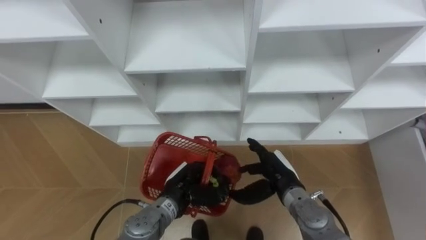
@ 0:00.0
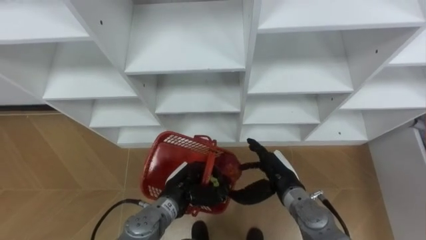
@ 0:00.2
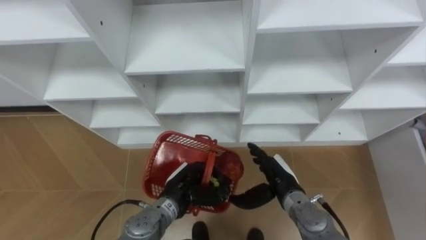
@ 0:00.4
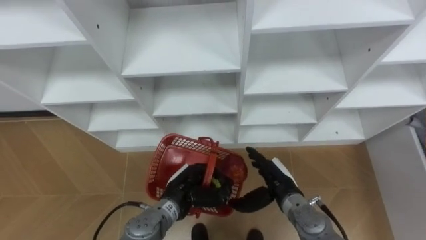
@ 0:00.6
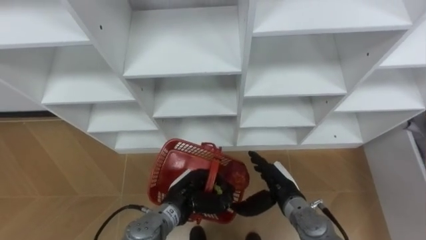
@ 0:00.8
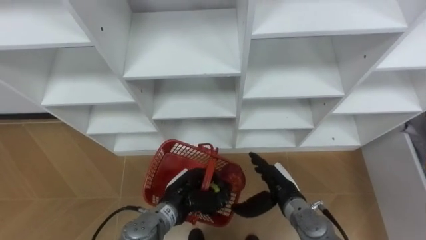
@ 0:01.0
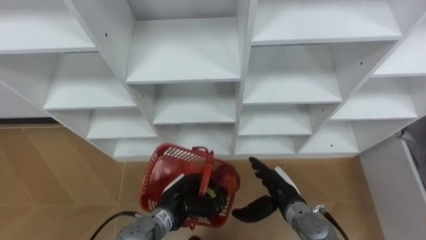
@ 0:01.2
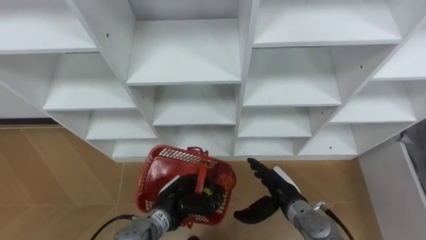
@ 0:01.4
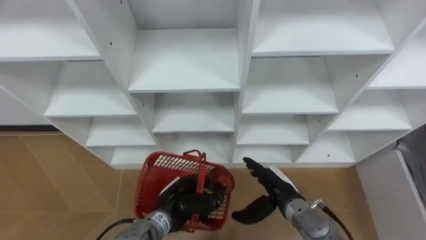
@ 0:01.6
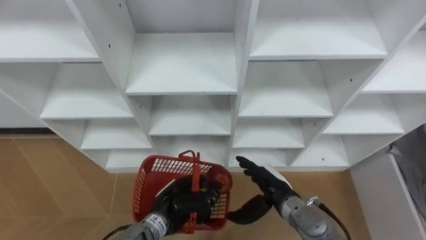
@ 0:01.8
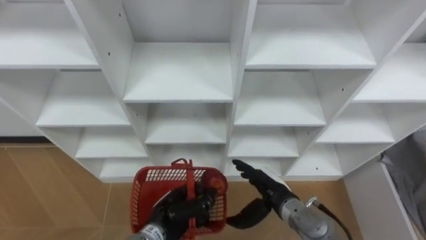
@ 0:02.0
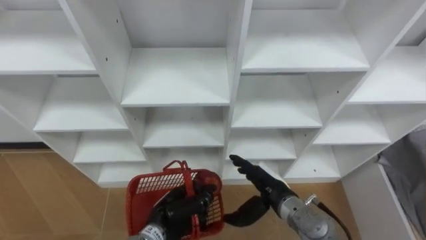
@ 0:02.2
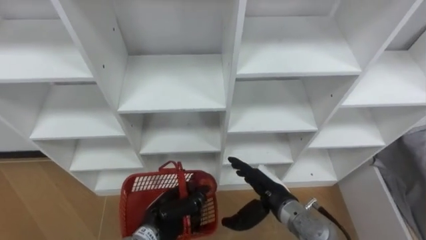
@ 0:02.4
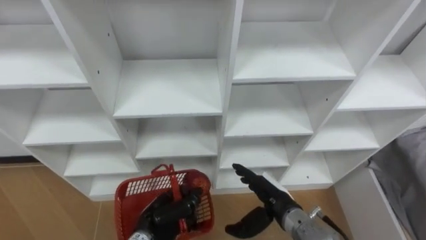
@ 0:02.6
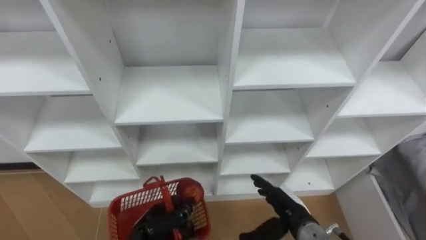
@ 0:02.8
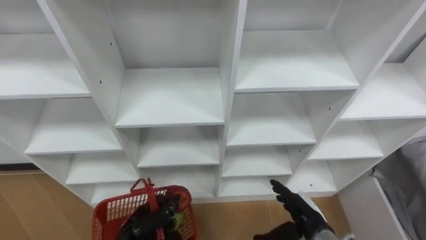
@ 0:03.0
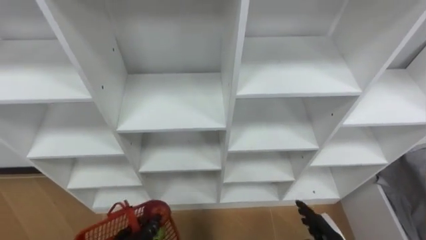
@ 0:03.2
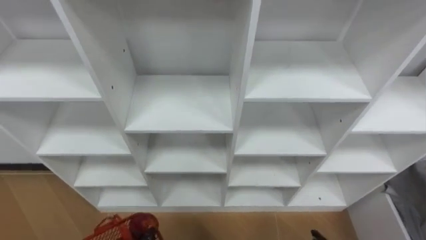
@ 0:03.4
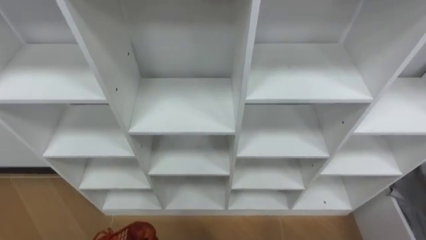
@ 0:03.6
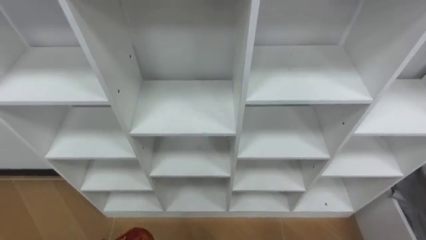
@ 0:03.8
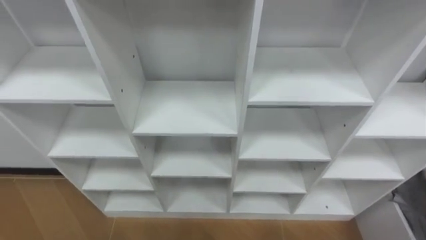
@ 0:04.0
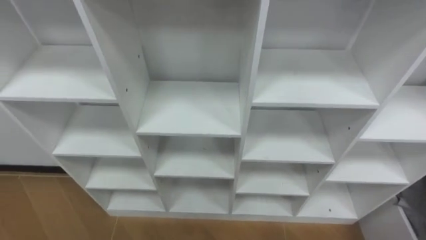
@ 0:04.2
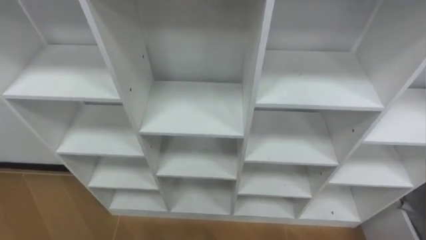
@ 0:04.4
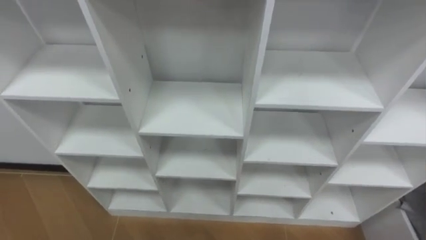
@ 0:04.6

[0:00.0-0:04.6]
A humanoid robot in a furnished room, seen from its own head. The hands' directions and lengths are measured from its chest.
Task of the whole recording: Hold the basket and collect the fruits from 3 different cells of the closet into it.
0:01.6 to 0:03.0: The right hand goes some 5 cm backward and to the right. Meanwhile the left hand moves to the left and backward, about 10 cm.

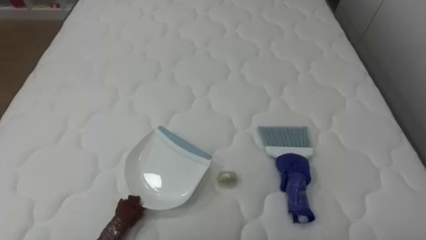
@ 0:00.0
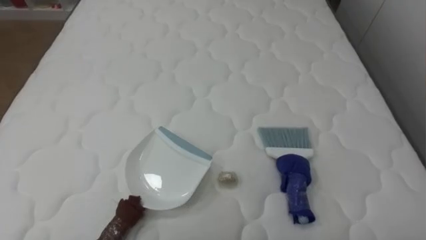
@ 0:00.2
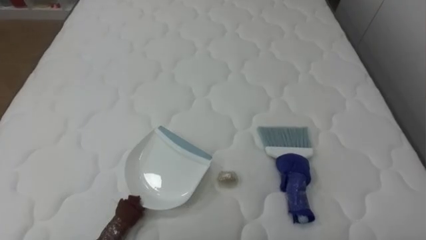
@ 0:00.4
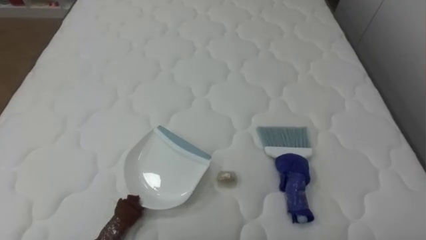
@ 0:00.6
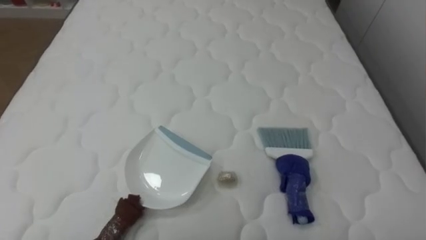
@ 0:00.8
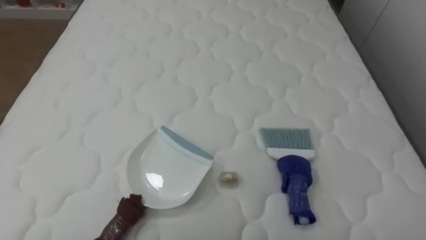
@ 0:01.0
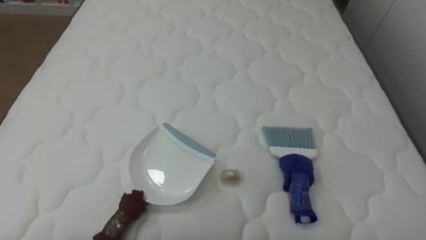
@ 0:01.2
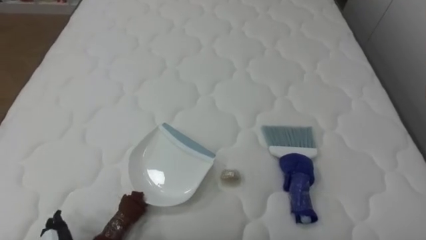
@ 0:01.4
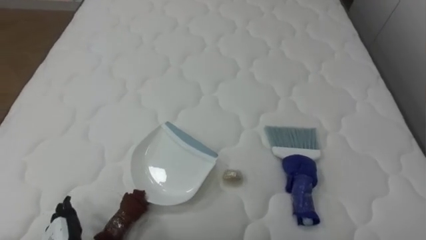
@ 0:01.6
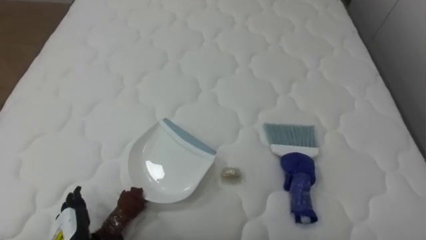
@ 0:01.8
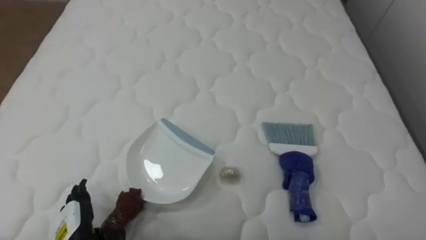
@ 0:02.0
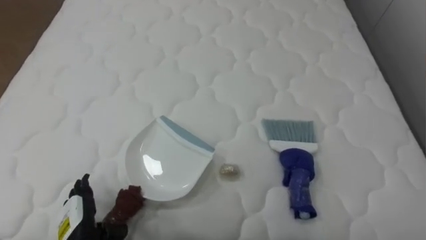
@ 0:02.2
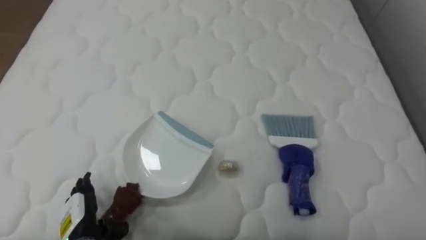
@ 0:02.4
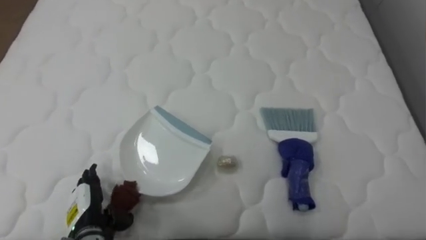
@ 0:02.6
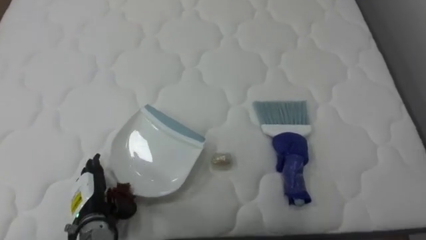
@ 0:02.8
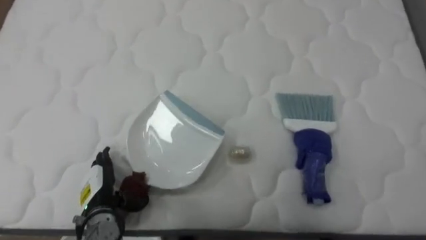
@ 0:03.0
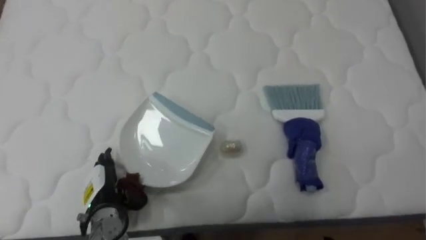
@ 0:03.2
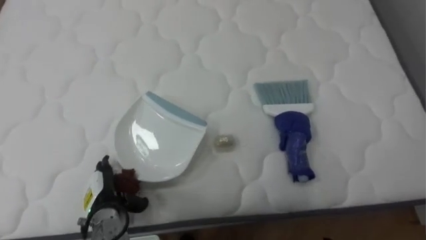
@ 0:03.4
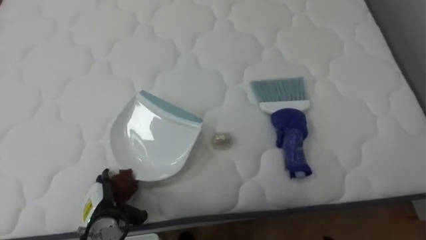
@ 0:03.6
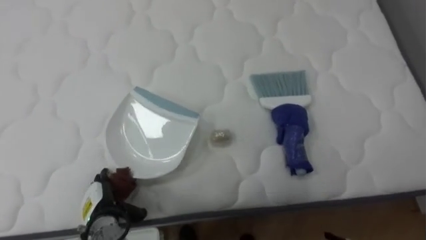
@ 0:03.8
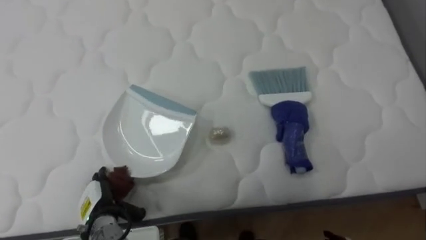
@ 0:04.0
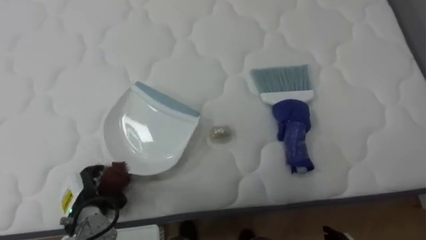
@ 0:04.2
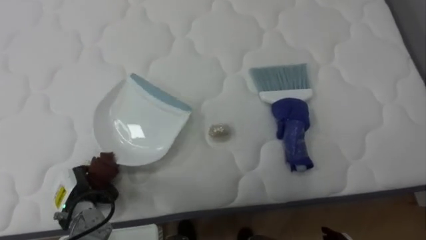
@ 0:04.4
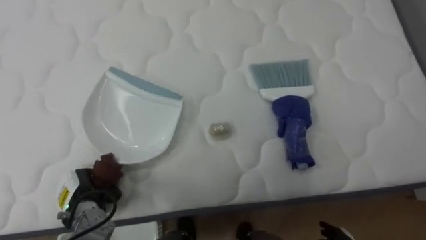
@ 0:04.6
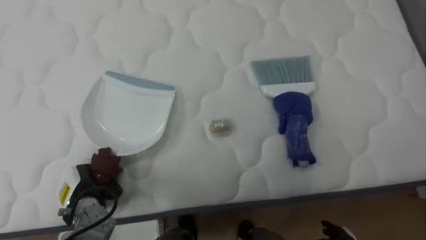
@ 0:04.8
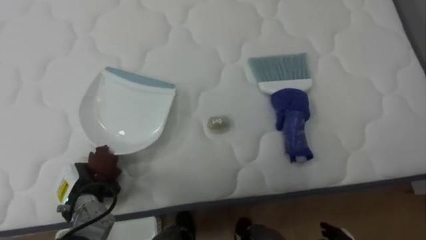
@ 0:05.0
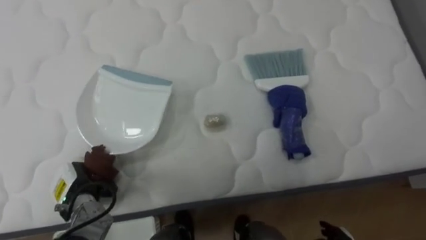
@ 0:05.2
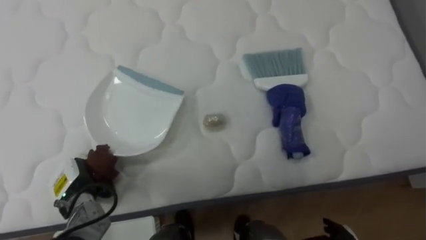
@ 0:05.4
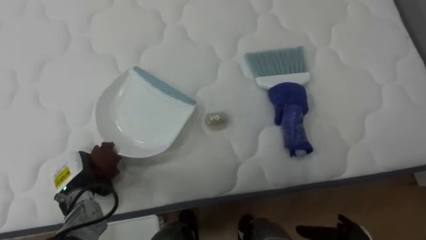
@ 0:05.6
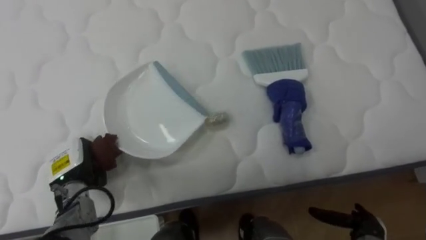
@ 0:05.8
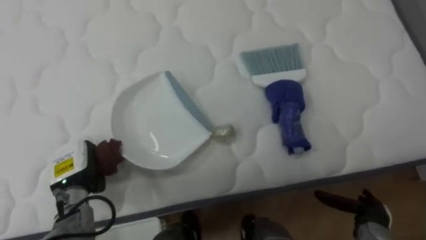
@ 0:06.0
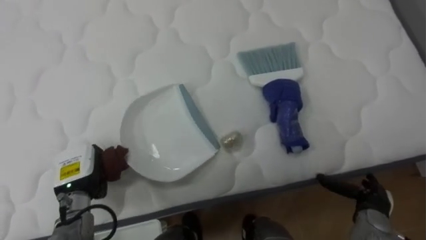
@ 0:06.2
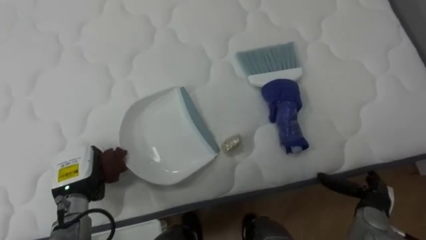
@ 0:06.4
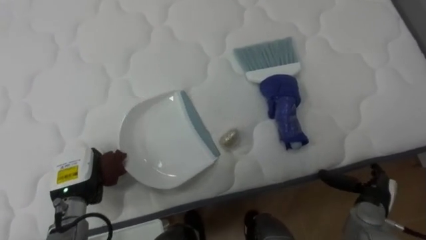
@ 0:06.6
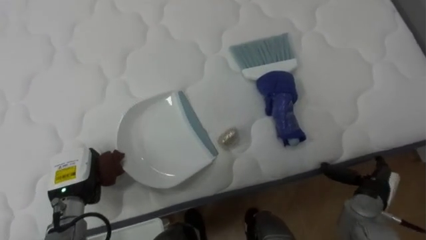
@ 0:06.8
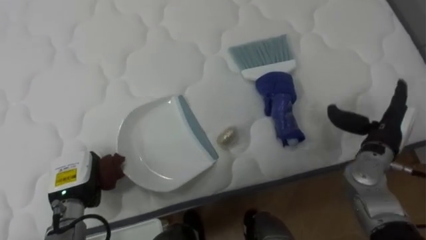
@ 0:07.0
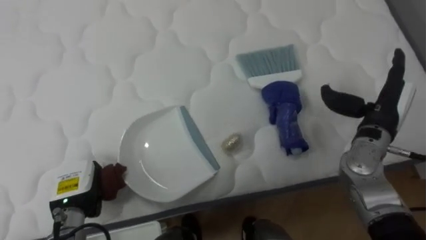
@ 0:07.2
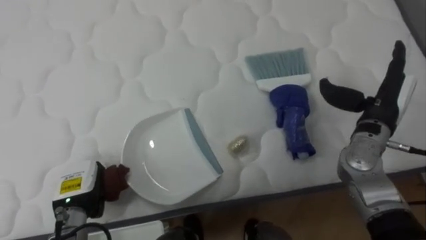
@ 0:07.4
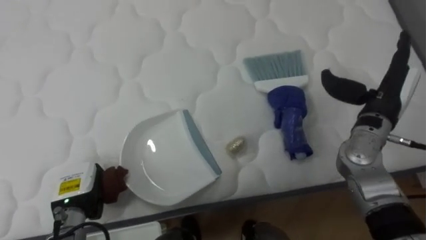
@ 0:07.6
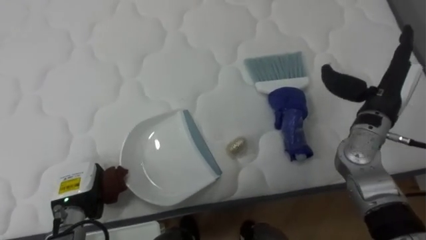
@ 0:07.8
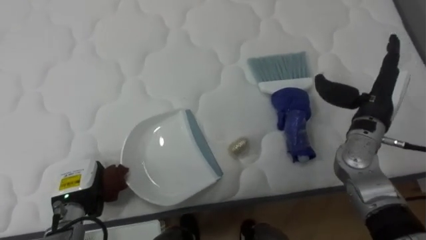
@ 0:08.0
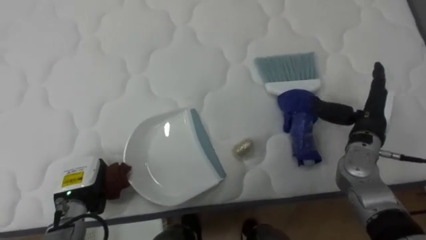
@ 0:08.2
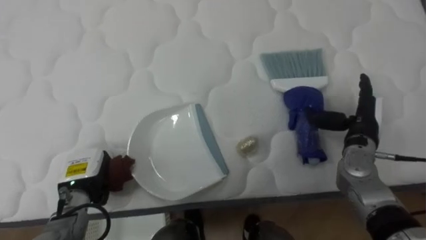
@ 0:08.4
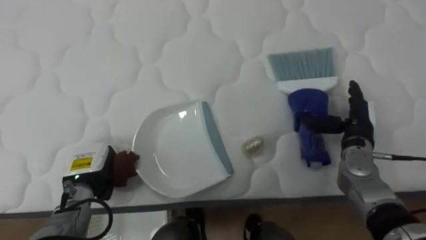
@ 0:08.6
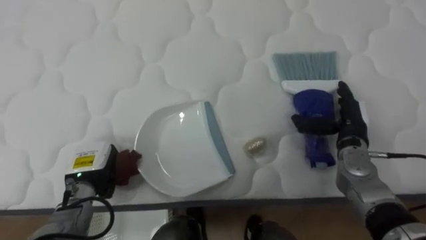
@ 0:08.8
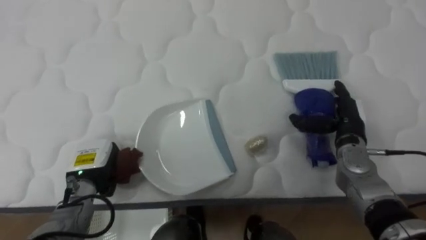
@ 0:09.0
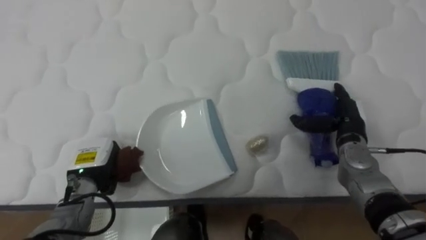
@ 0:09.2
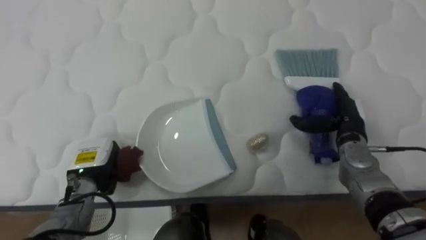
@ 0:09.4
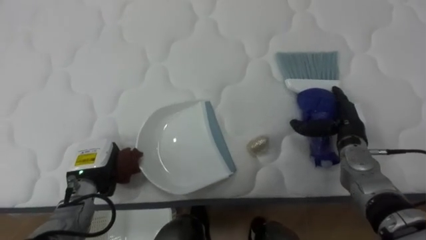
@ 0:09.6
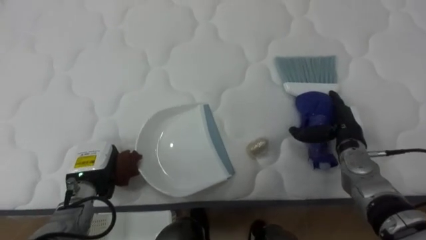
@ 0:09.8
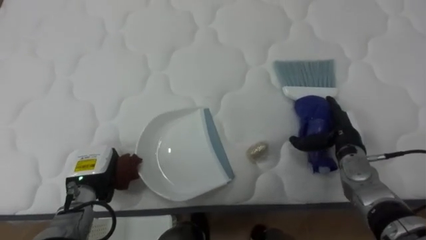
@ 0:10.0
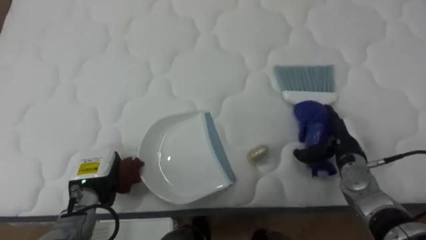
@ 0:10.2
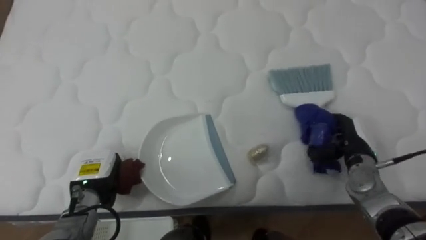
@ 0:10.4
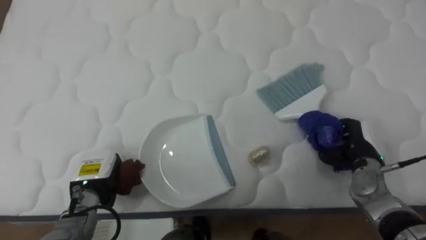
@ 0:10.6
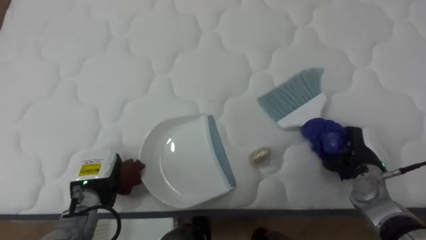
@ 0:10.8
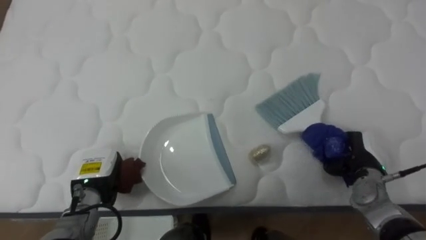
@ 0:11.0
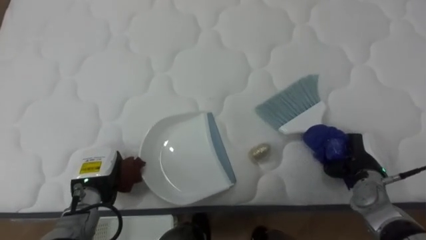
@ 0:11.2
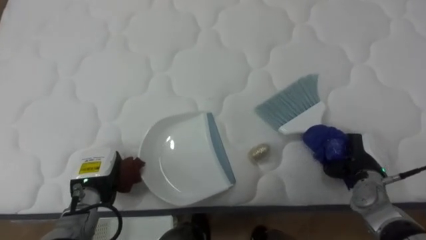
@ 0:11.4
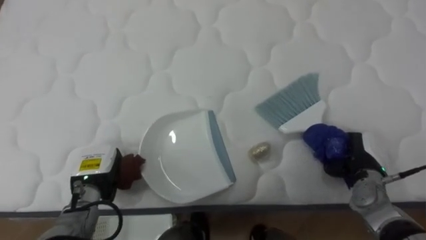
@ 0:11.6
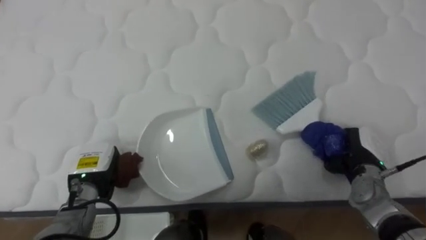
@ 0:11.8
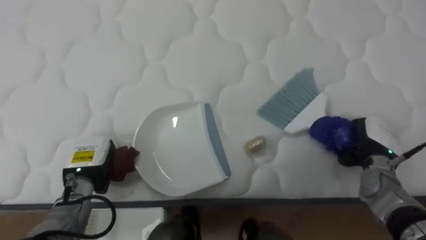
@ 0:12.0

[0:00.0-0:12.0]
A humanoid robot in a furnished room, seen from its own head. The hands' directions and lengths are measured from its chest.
Task of the whole recording: Pick up the brush on your right and the dustpan on your left. Use the brush to sweep the crumpled paper on the bed into the dustpan, then turn left and empty it into the basket.
0:03.0 to 0:04.4: The left hand closes its fingers.
0:04.4 to 0:06.0: The left hand travels upward by about 5 cm.
0:06.0 to 0:07.6: The right hand moves upward and forward, about 30 cm.
0:07.6 to 0:09.0: The right hand moves downward, roughly 10 cm. Meanwhile the left hand ends up approximately 5 cm from where it was.
0:09.0 to 0:10.4: The right hand ends up roughly 5 cm from where it was.
0:10.4 to 0:12.0: The right hand closes its fingers.
